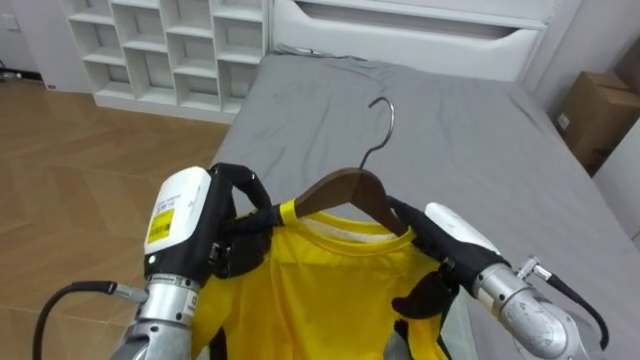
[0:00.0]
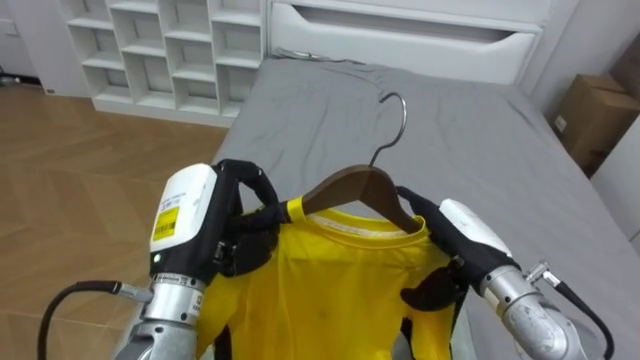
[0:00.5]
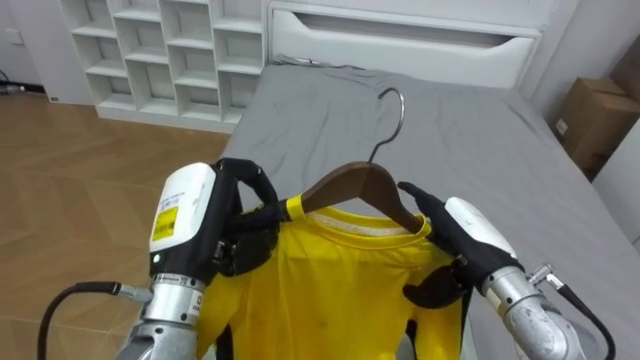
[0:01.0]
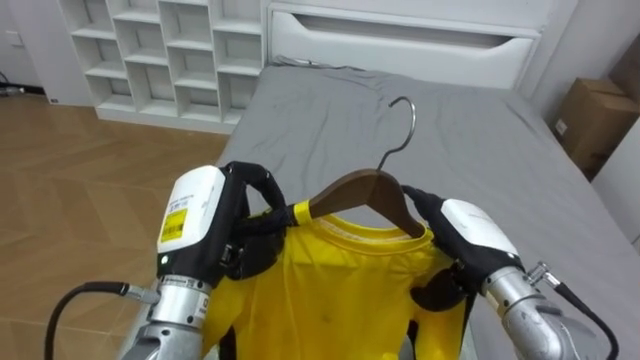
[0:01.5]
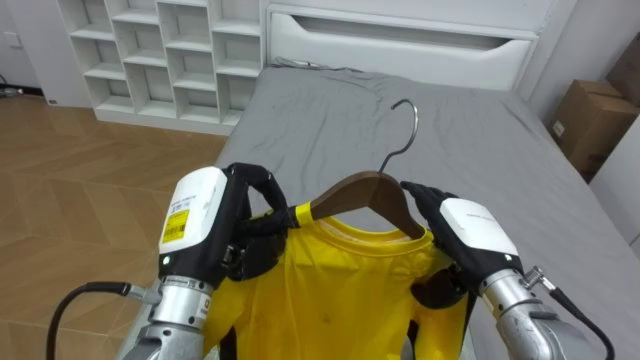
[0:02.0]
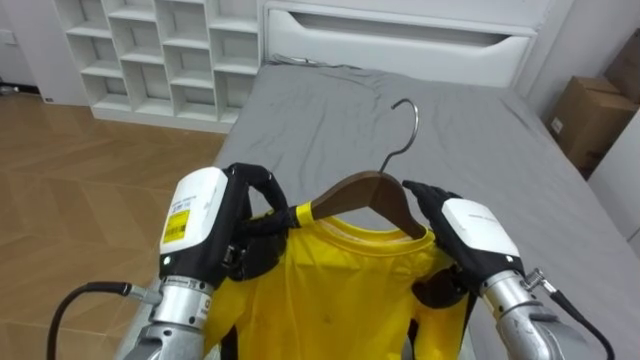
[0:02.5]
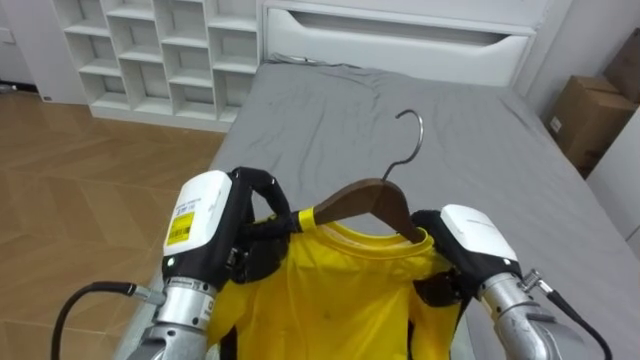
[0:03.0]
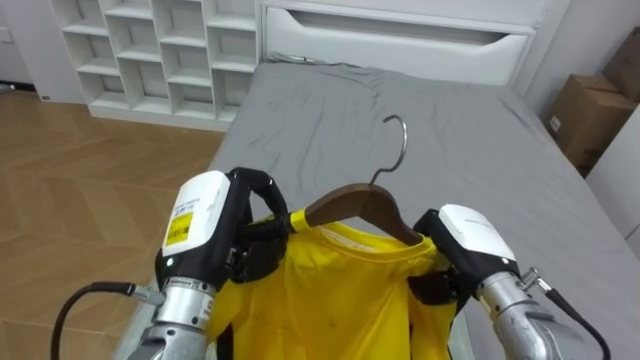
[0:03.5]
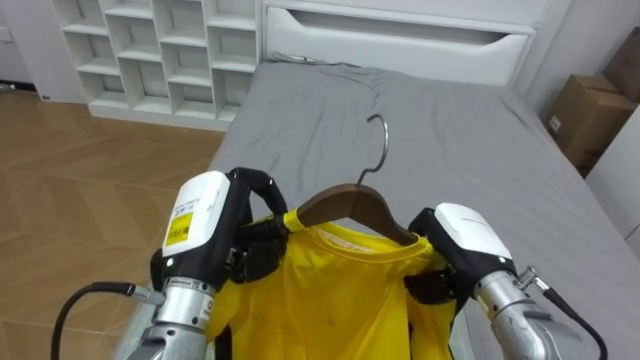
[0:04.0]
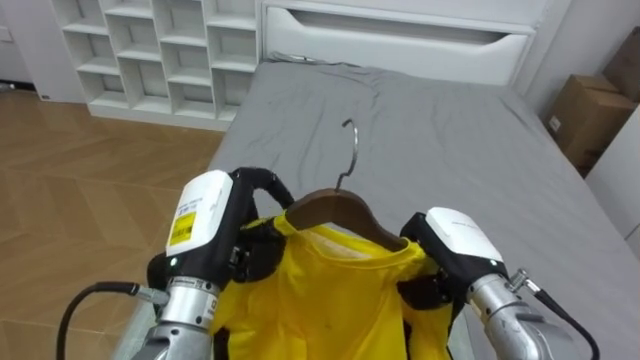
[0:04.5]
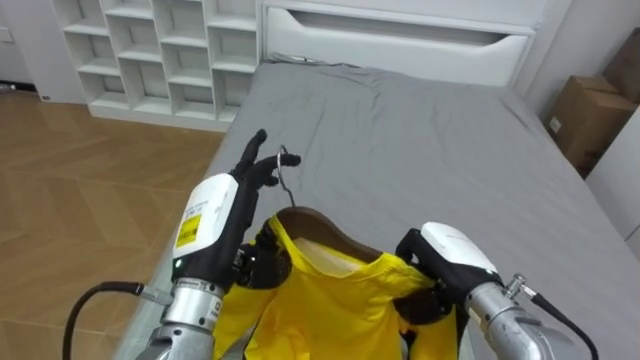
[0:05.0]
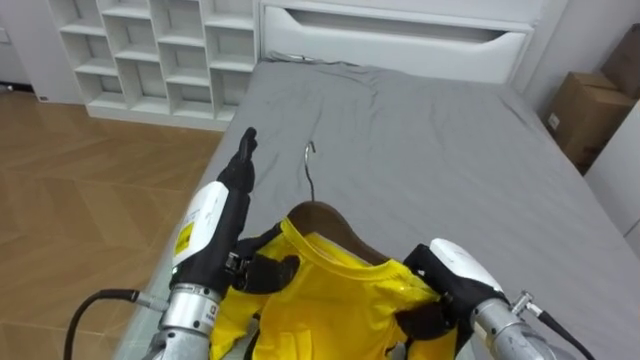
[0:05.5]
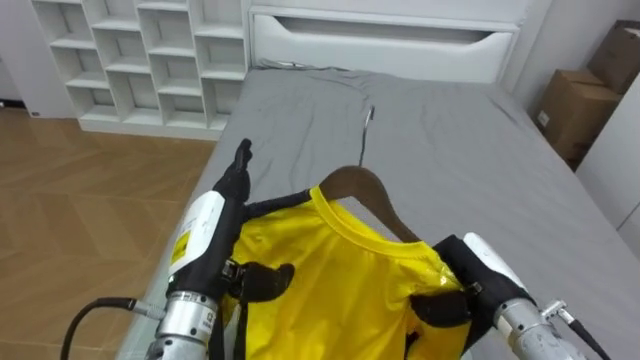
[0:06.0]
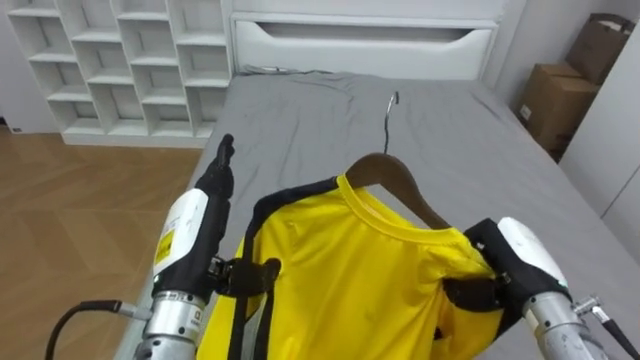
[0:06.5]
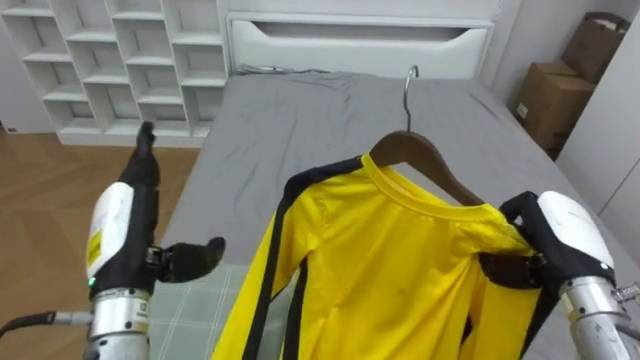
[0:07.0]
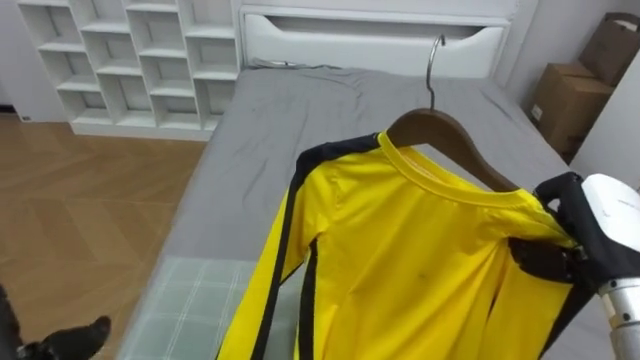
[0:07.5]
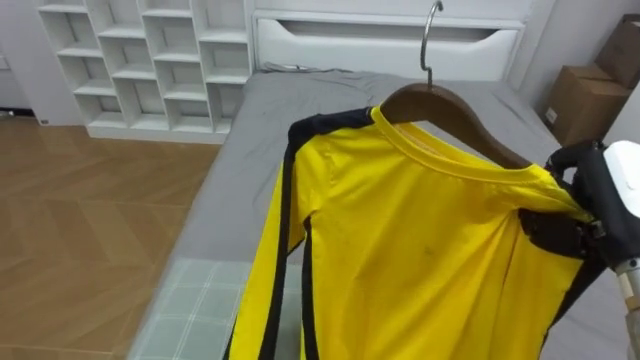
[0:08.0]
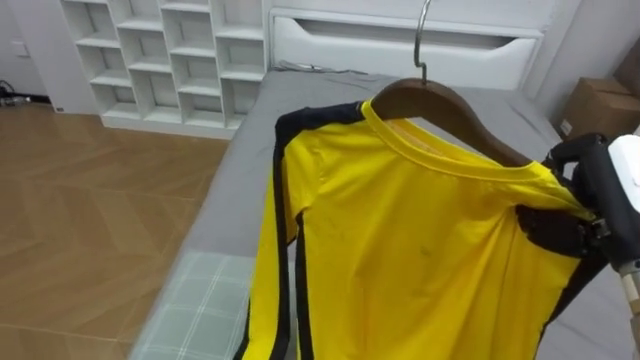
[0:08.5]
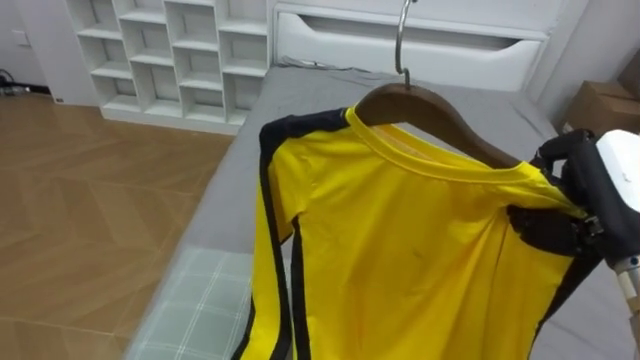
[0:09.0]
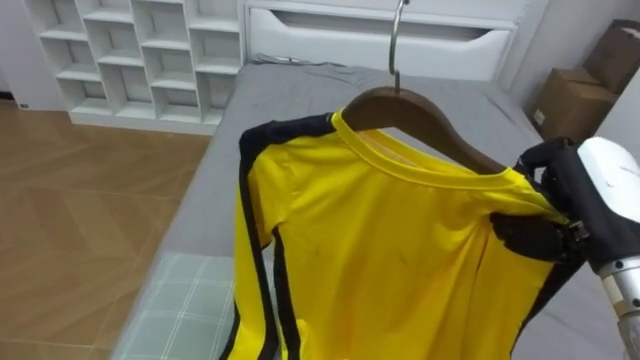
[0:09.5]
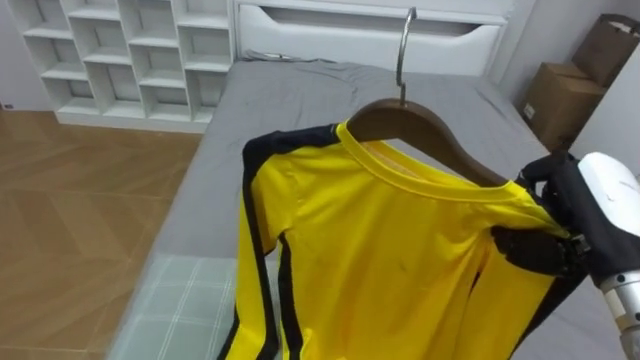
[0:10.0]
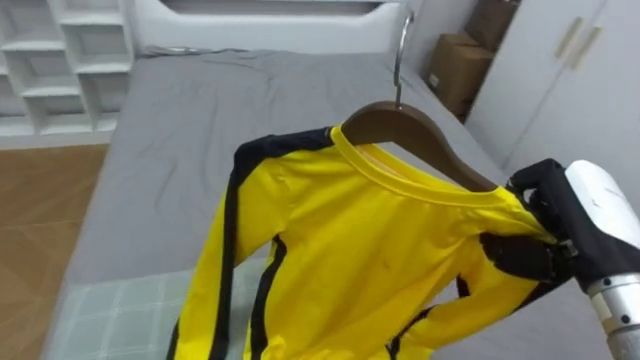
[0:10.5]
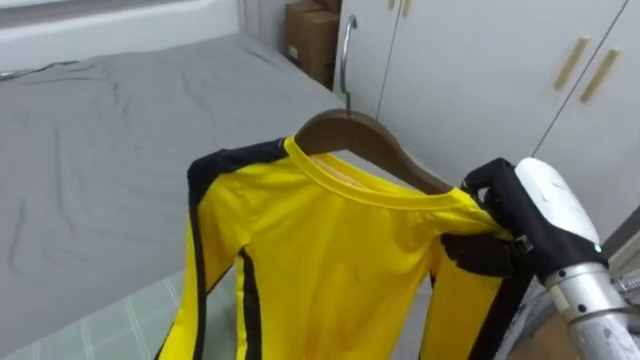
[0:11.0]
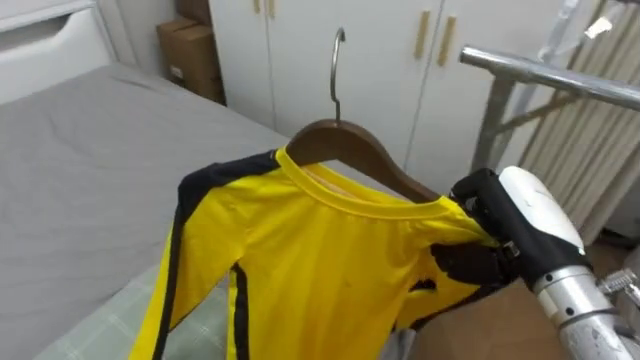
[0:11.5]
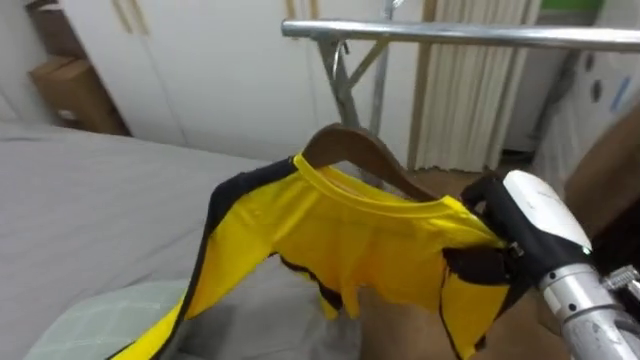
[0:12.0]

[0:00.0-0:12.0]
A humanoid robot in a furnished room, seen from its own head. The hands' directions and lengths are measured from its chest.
Task of the whole recording: Pick up the yellow shirt on the bed and hang it on the clothes rack on the right.
2.0 to 4.0 s: The right hand closes up.
4.0 to 6.0 s: The right hand ends up roughly 5 cm from where it was. The left hand opens up.
6.0 to 8.0 s: The right hand is displaced upward and to the right by some 20 cm.
10.0 to 12.0 s: The robot turns to its right by about 70 degrees. The right hand ends up approximately 5 cm from where it was.

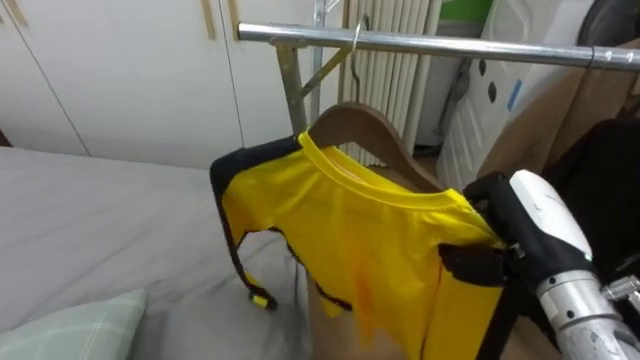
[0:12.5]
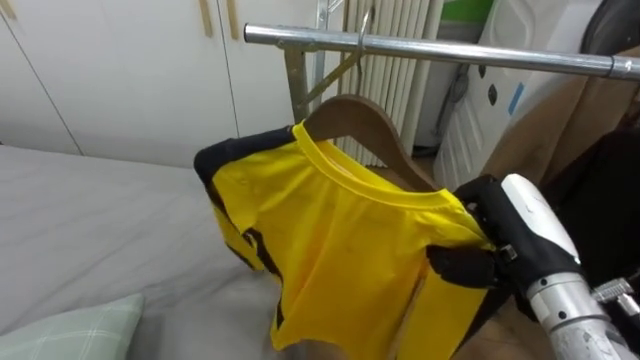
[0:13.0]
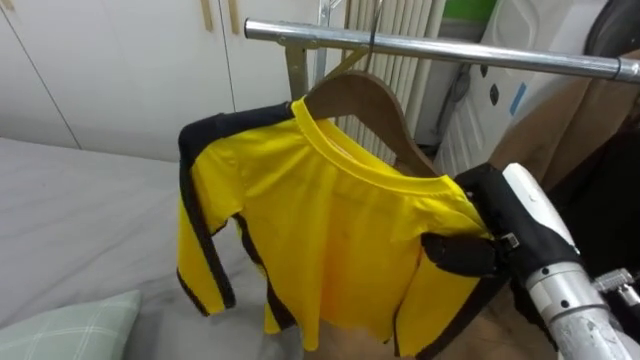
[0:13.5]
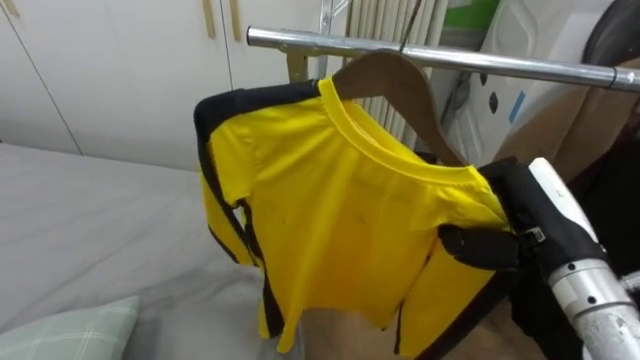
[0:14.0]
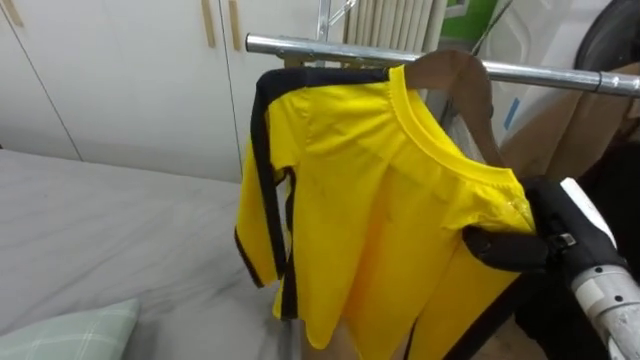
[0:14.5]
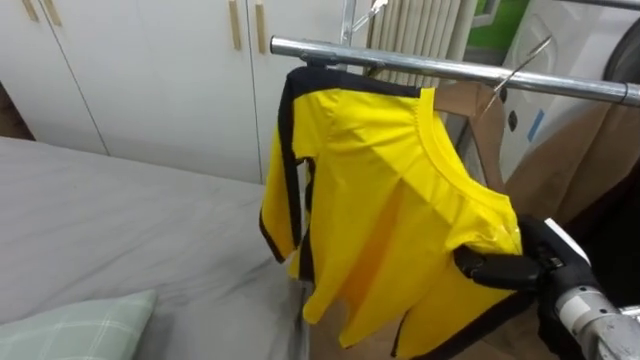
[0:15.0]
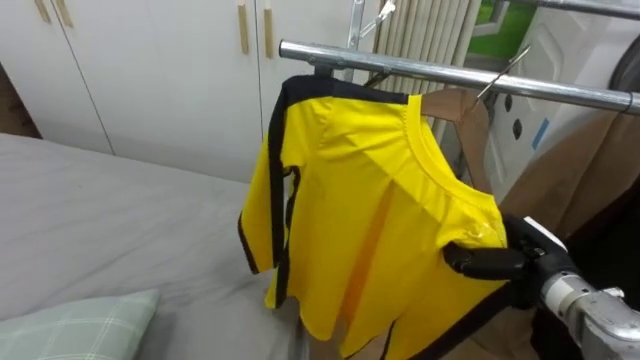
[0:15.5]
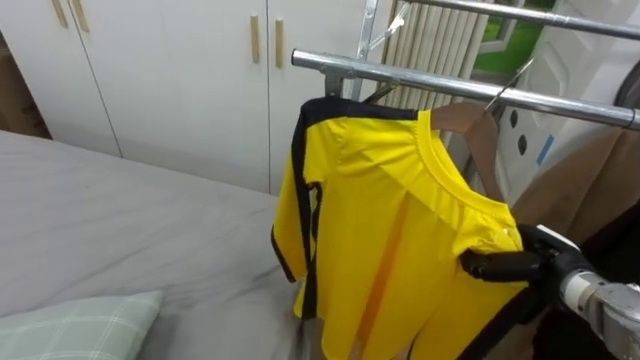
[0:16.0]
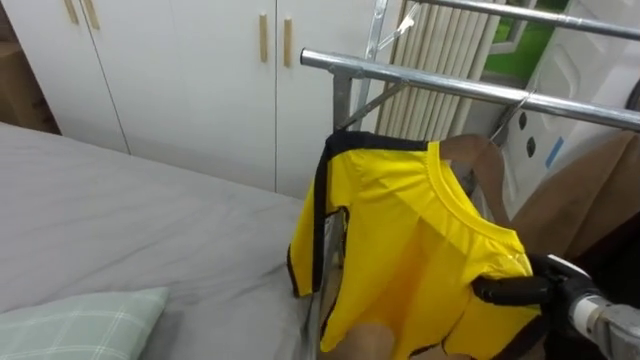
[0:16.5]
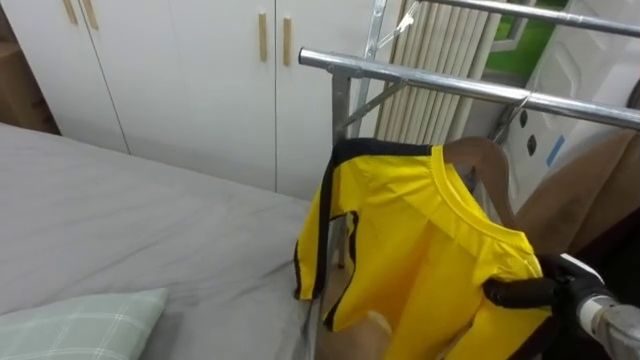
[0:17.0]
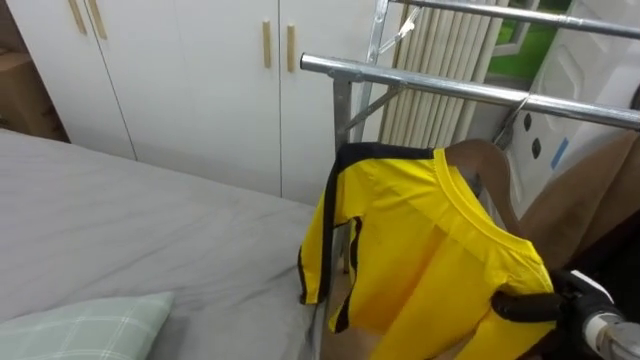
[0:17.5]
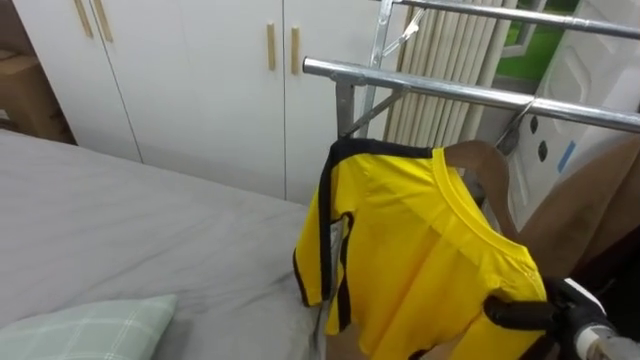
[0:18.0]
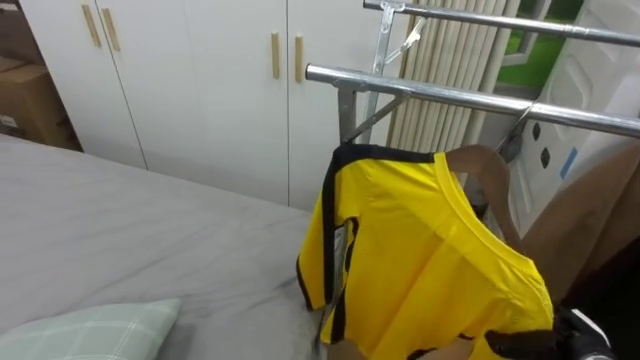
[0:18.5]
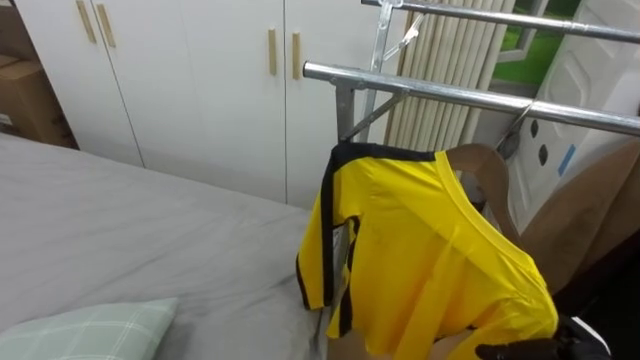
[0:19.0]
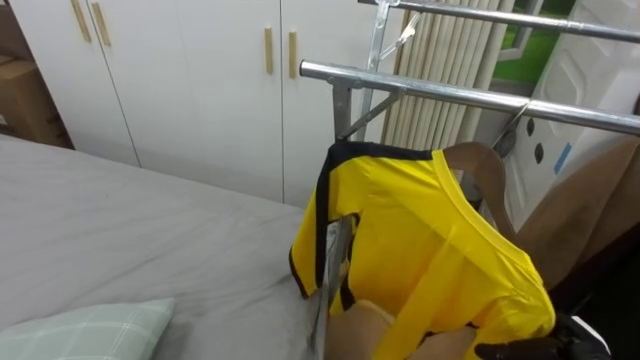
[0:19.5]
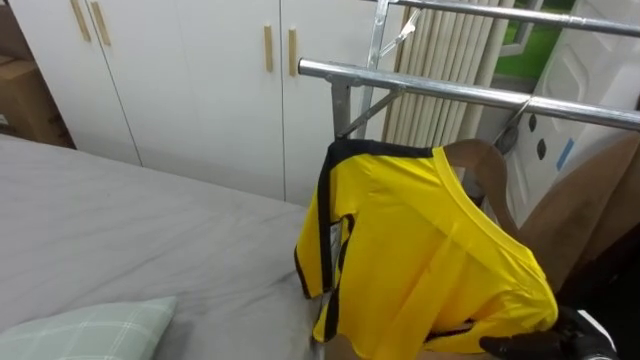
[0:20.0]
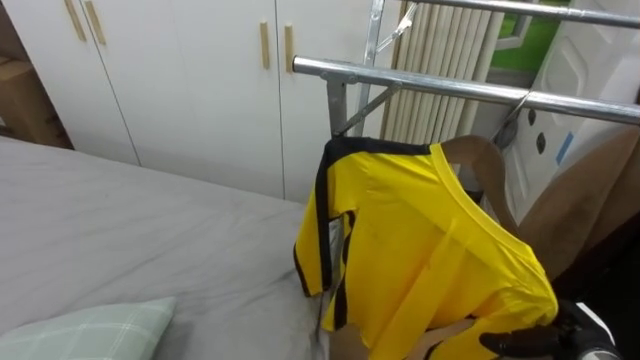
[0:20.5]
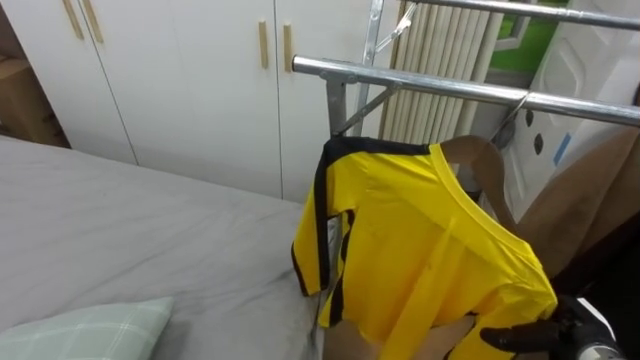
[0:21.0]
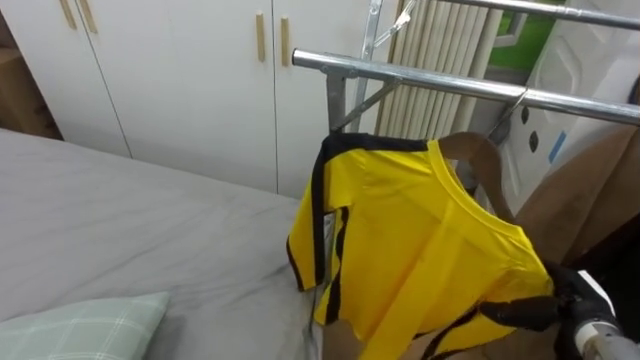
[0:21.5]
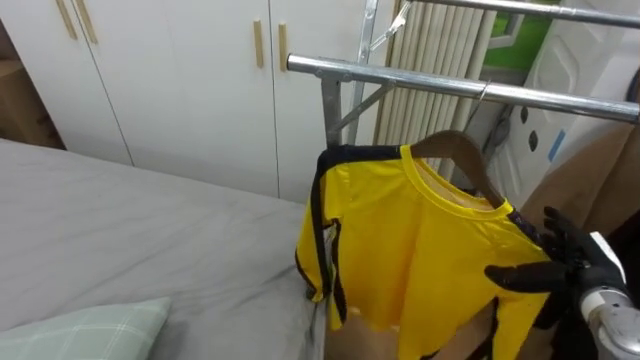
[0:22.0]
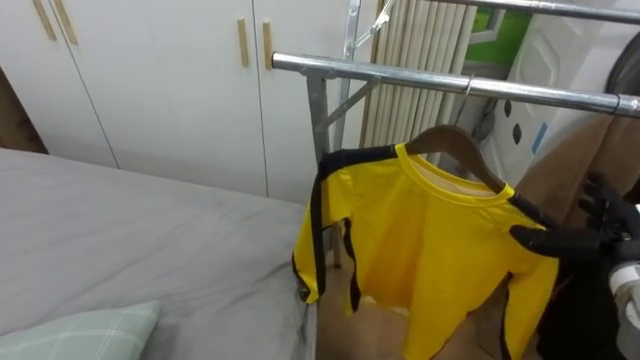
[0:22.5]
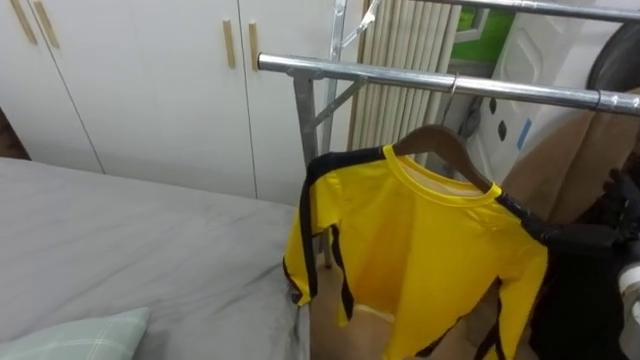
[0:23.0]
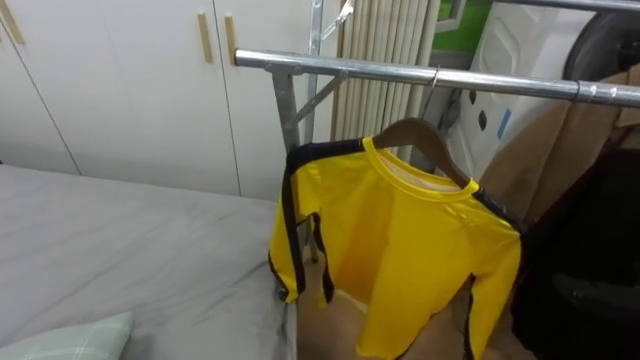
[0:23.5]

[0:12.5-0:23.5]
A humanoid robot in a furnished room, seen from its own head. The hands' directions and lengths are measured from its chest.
Task of the whole recording: Pick up the yellow shirt on the bed and hang it on the clothes rack on the right.
12.5 to 14.5 s: The right hand moves some 5 cm.
14.5 to 16.0 s: The right hand is displaced downward by some 10 cm.
16.0 to 18.0 s: The right hand is displaced downward by some 5 cm.
18.0 to 20.0 s: The right hand opens.
20.0 to 21.5 s: The right hand moves roughly 5 cm.
